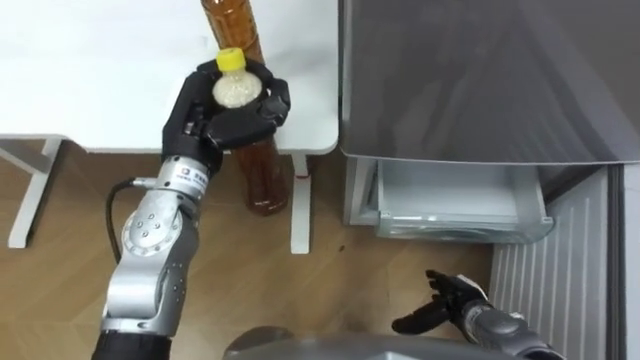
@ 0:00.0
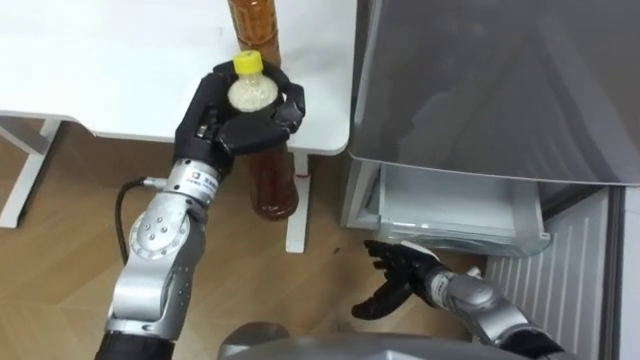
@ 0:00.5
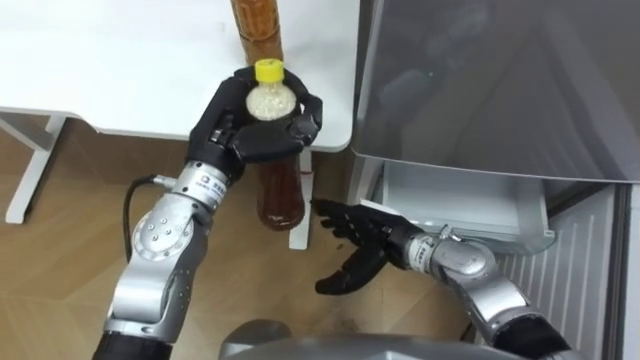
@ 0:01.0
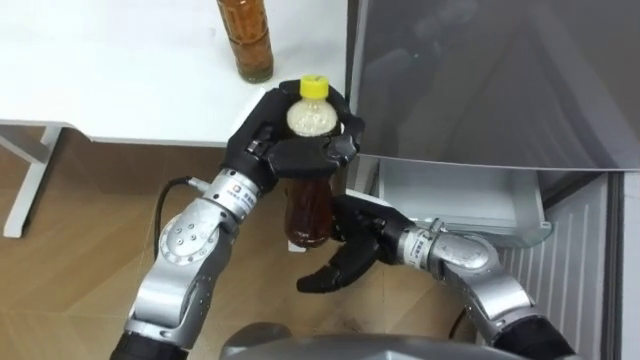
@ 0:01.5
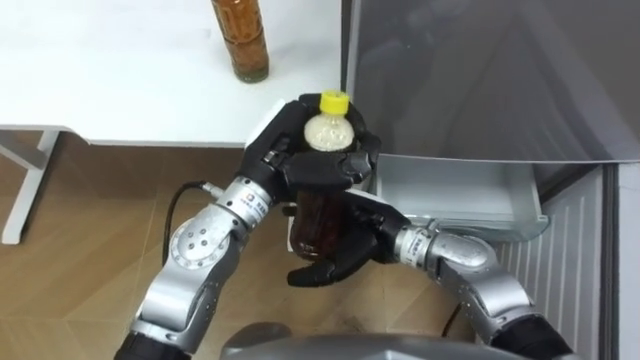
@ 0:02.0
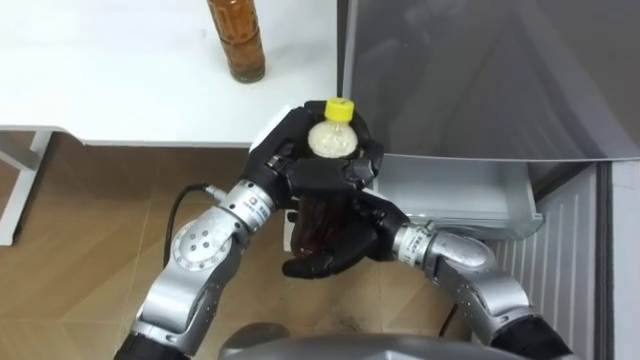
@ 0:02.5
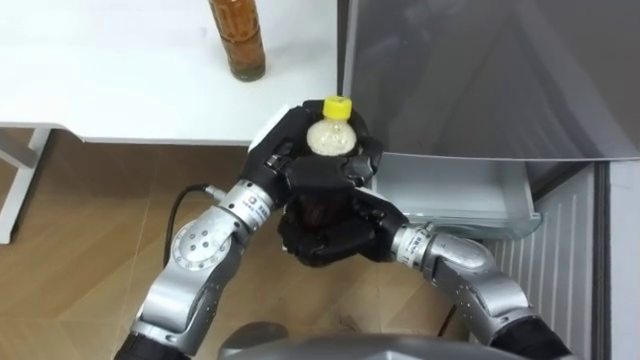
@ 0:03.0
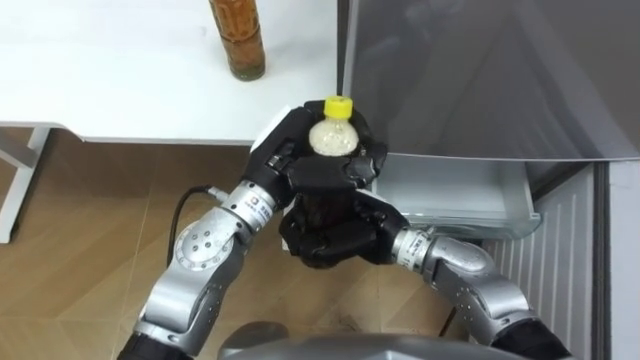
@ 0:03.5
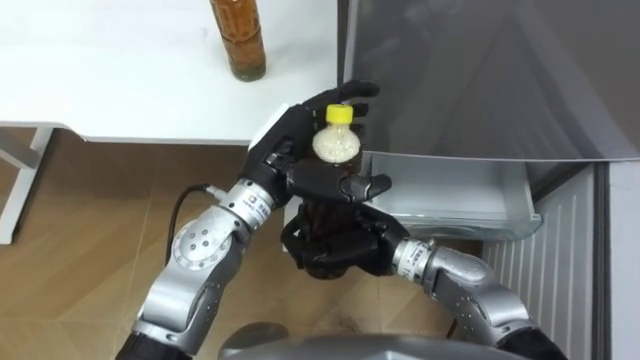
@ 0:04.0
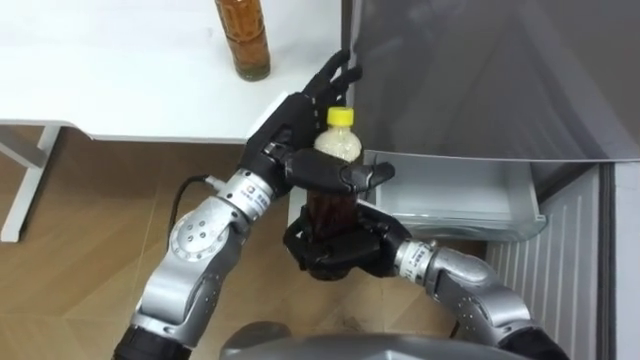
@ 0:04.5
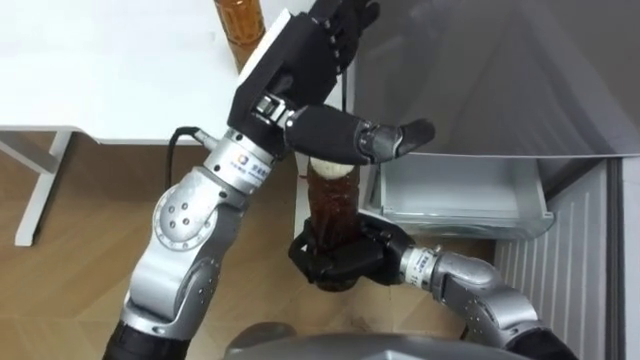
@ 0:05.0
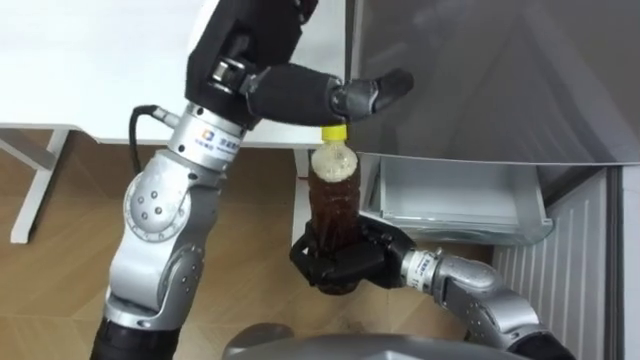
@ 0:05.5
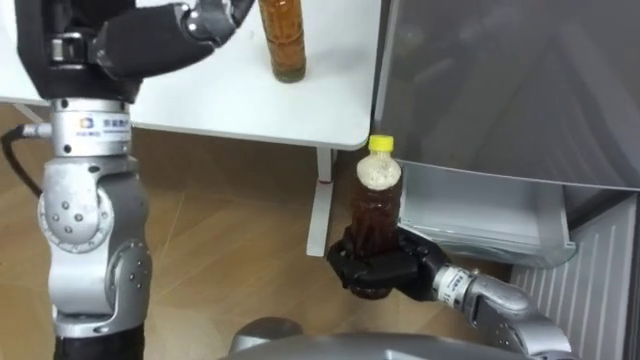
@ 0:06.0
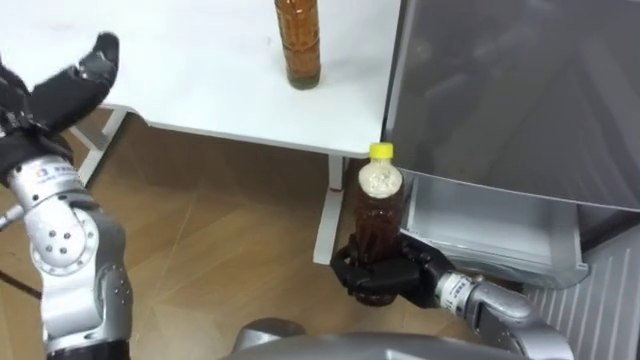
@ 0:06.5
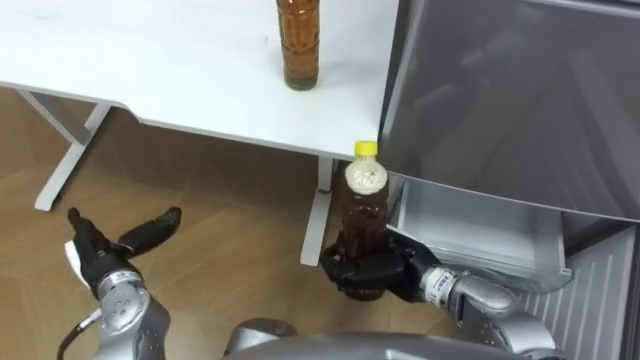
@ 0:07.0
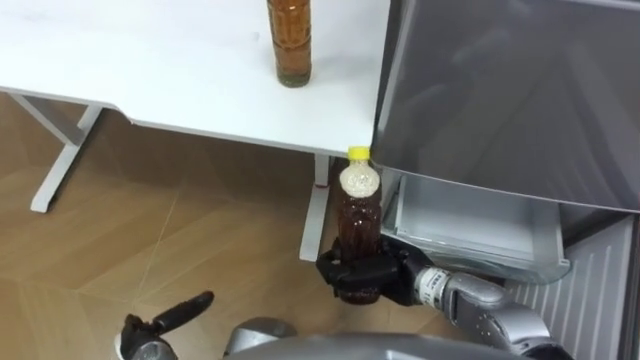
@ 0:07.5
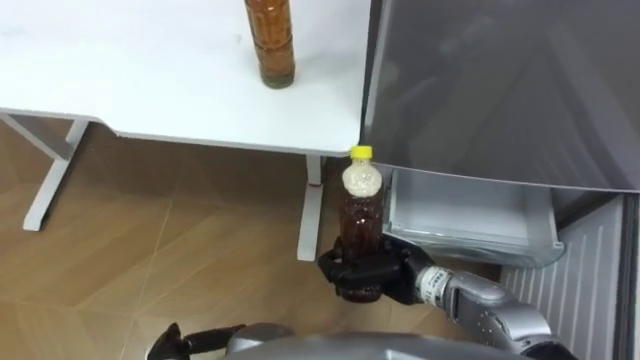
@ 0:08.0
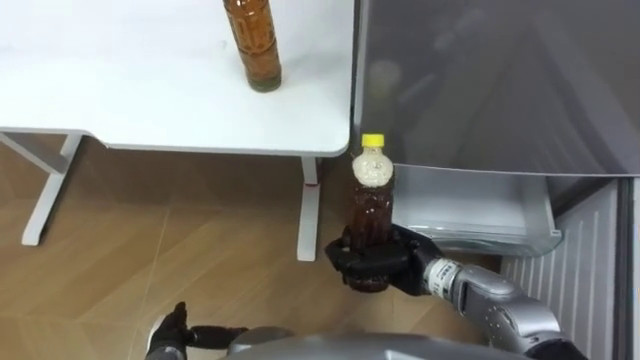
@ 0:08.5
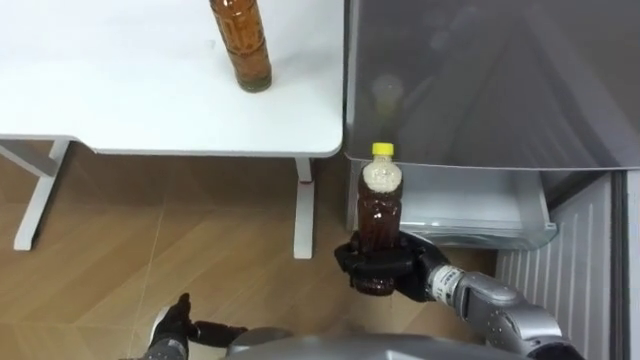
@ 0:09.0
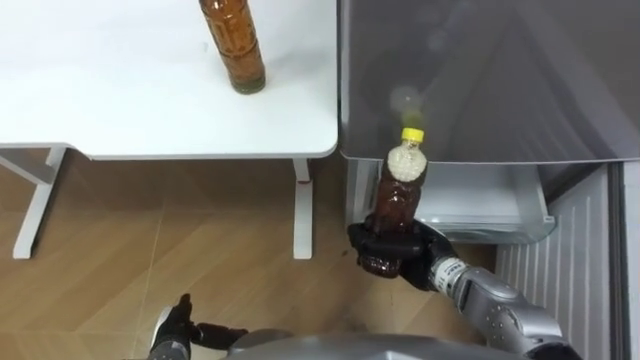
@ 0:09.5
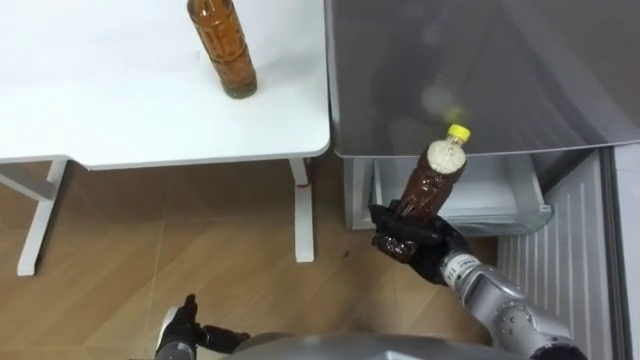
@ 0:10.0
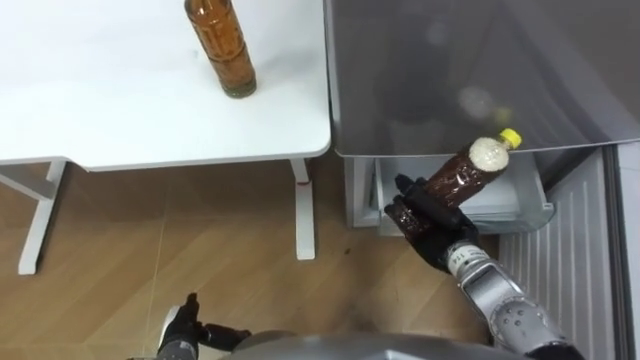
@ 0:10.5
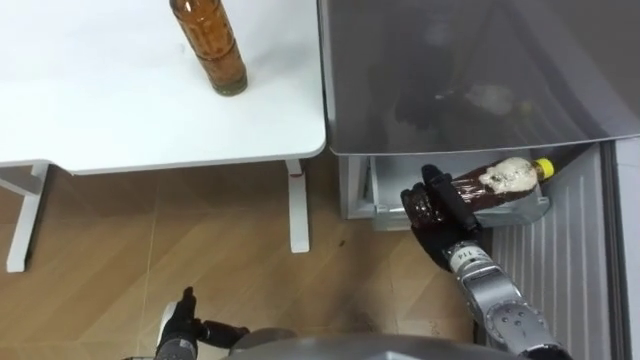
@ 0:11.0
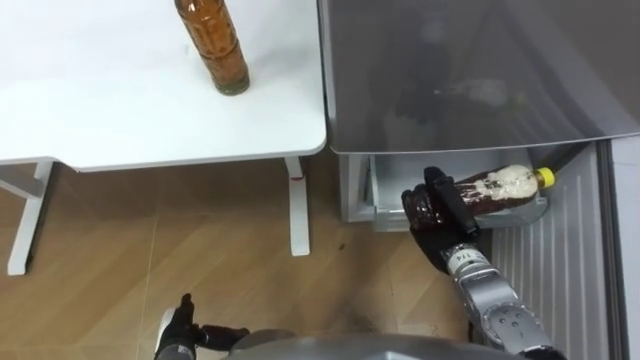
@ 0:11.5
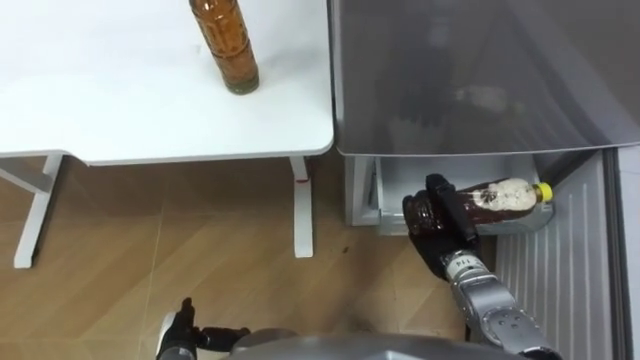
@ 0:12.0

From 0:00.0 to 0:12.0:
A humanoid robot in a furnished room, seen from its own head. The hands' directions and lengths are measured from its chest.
Task of the whole recording: Place the drink on the table on the bottom shelf of the refrigerator, then close the drawer and the refrigerator door.
From 0:00.0 to 0:02.0: The right hand goes approximately 25 cm to the left, upward and forward. The left hand moves to the right, about 10 cm.
From 0:02.0 to 0:04.0: The left hand opens its fingers. Meanwhile the right hand closes up.
From 0:04.0 to 0:06.0: The right hand goes roughly 5 cm to the right. Meanwhile the left hand travels upward and to the left by some 20 cm.
From 0:08.0 to 0:10.0: The right hand is displaced to the right by about 5 cm.

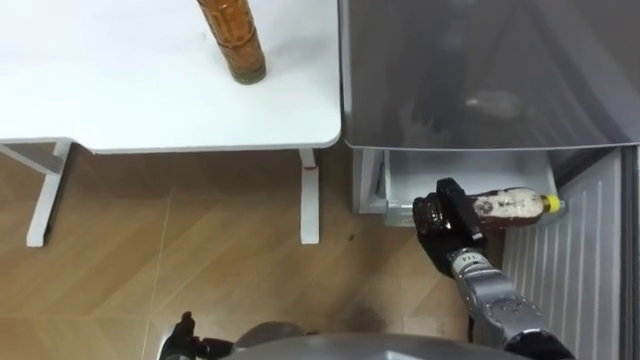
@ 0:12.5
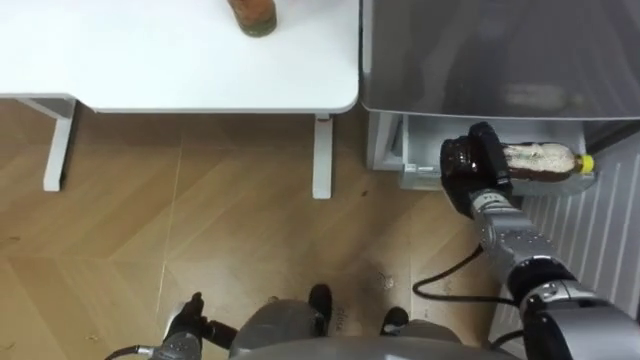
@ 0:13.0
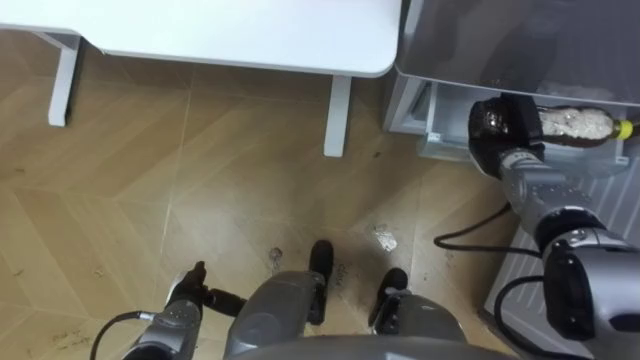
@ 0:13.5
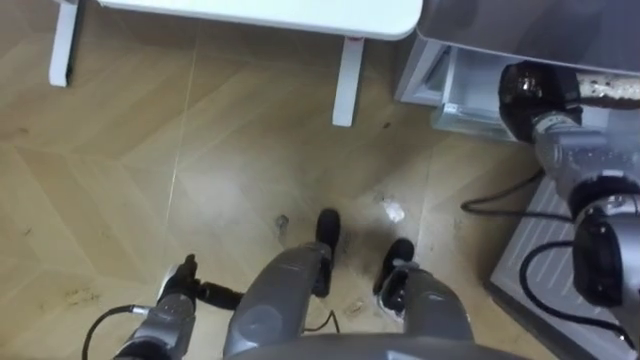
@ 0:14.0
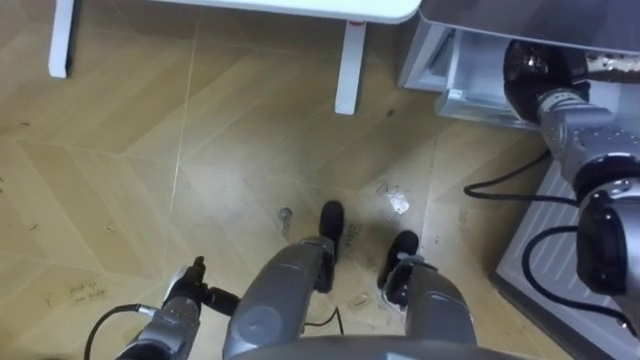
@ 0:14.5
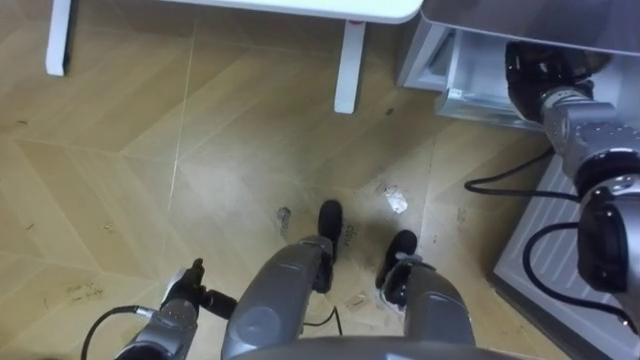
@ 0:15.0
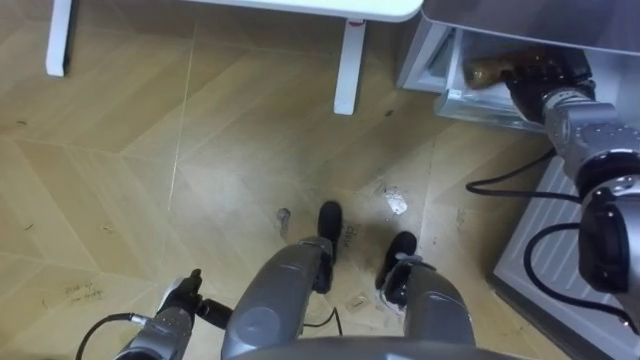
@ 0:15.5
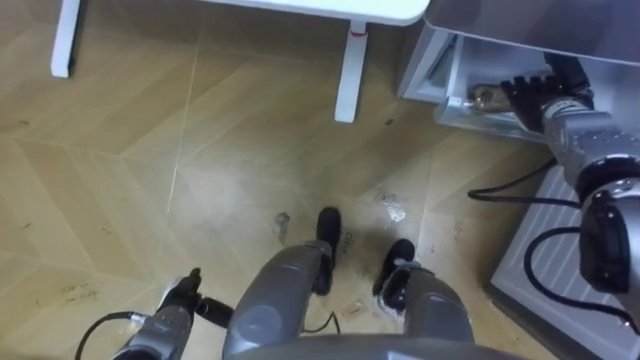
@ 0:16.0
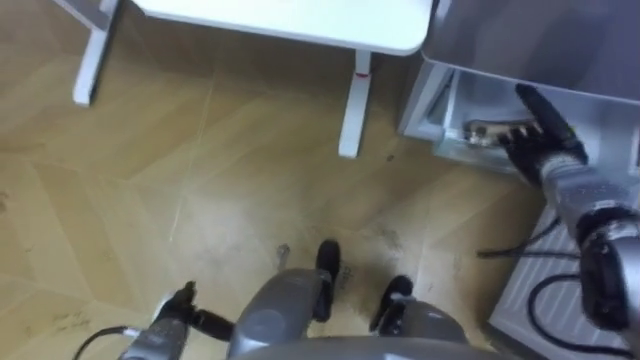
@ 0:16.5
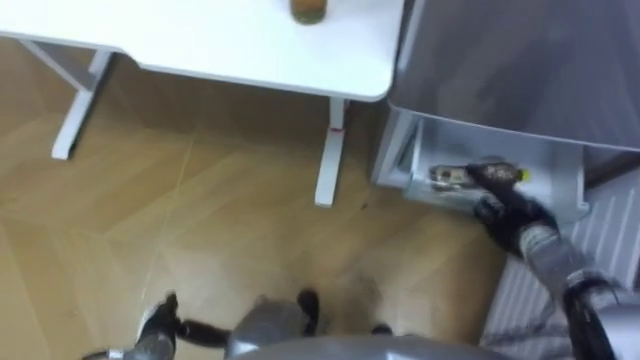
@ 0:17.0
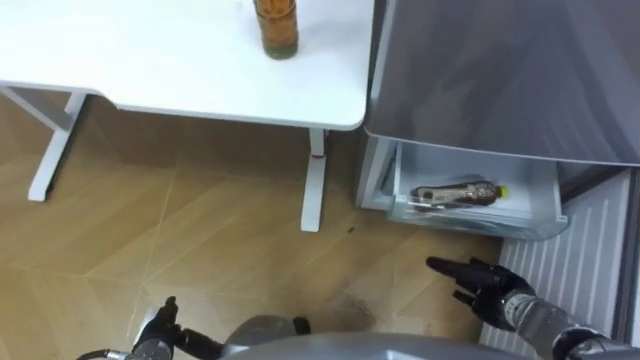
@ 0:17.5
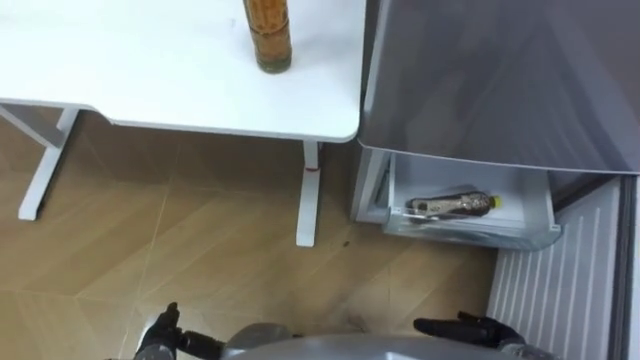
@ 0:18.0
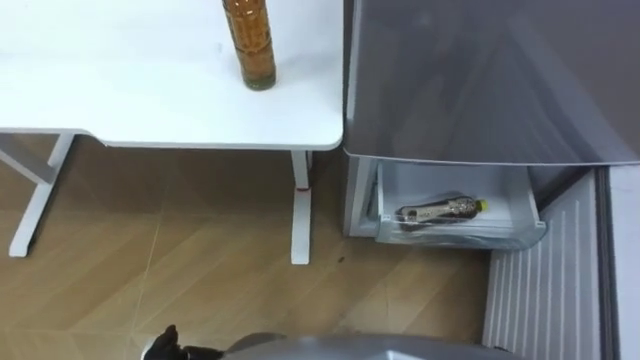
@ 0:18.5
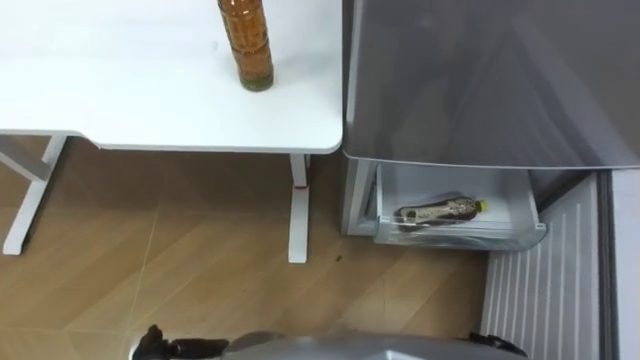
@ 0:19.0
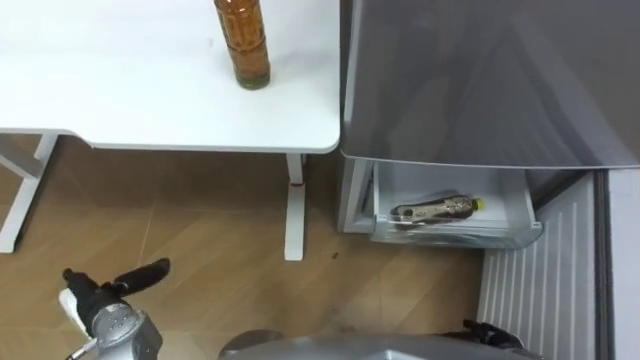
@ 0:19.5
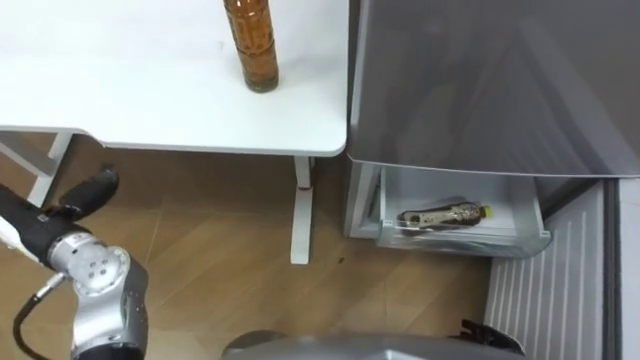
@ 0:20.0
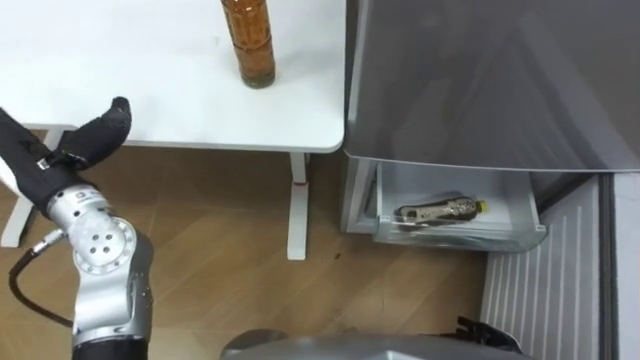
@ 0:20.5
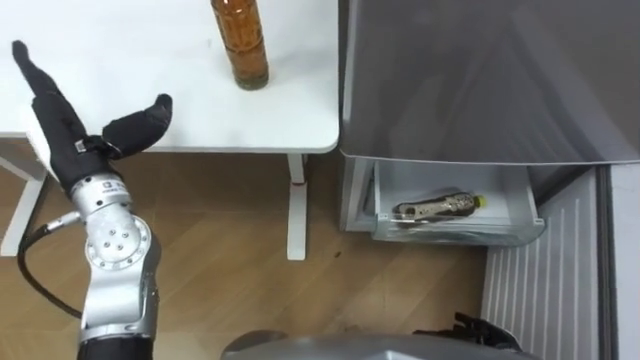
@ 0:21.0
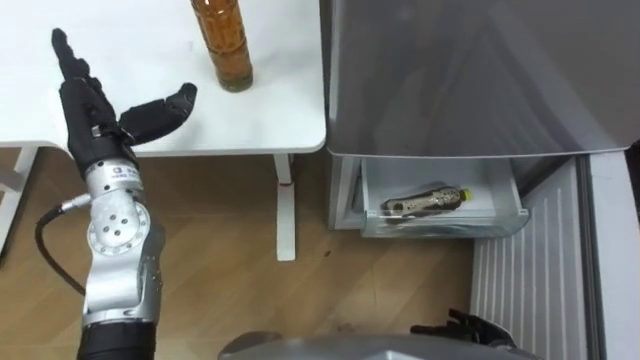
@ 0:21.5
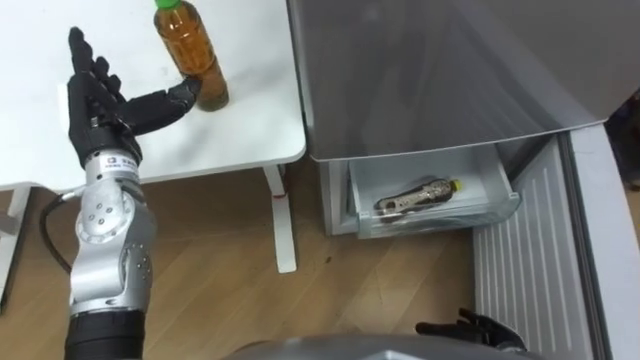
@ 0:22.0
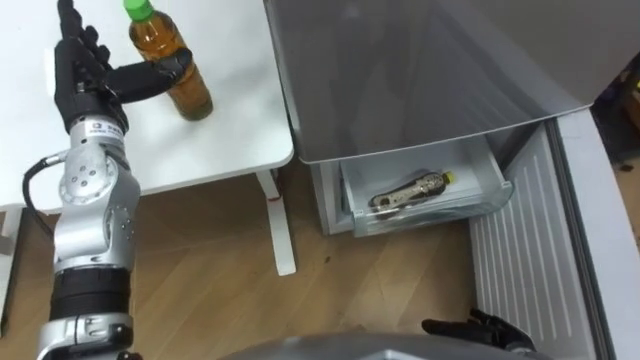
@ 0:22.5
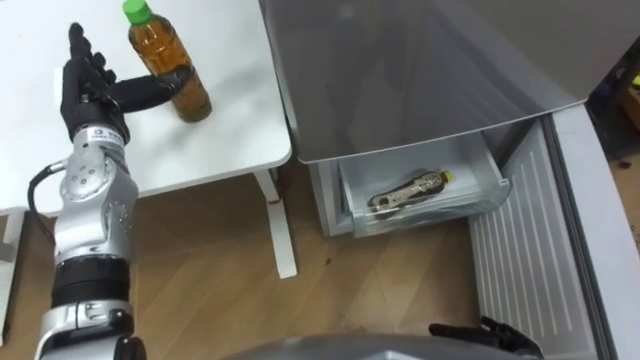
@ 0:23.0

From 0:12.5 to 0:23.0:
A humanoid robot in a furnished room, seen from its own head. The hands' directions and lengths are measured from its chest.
Task of the whole recording: Place the drink on the table on the bottom shelf of the refrigerator, then close the drawer and the refrigerator door.
From 0:12.5 to 0:14.5: The right hand travels forward, upward and to the right by some 25 cm, while the left hand heads forward, covering some 10 cm.
From 0:14.5 to 0:16.5: The right hand moves downward and backward, approximately 10 cm, and opens.
From 0:21.0 to 0:23.0: The left hand travels forward by approximately 5 cm.
